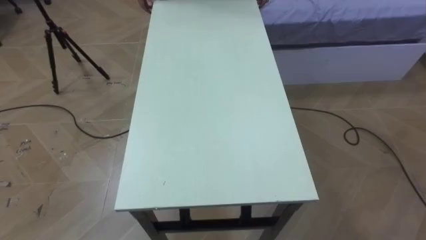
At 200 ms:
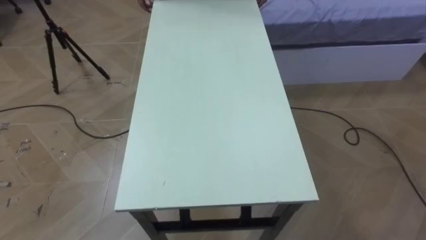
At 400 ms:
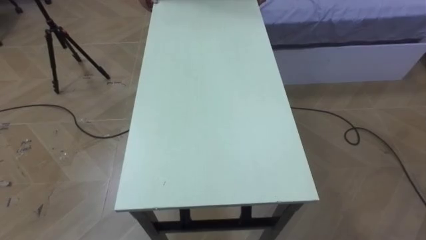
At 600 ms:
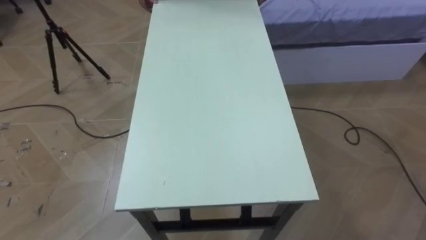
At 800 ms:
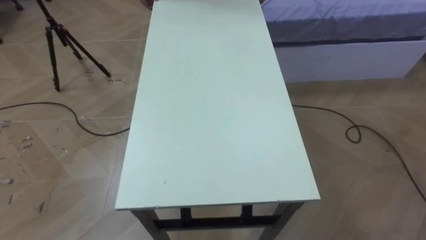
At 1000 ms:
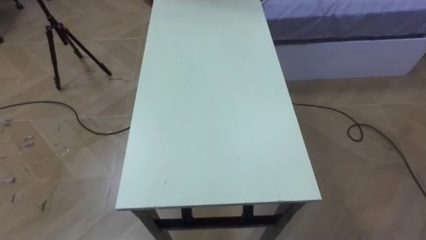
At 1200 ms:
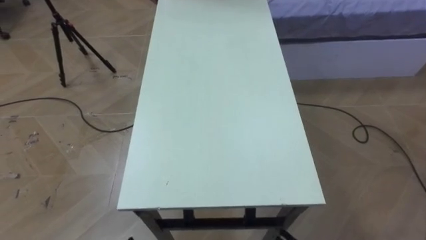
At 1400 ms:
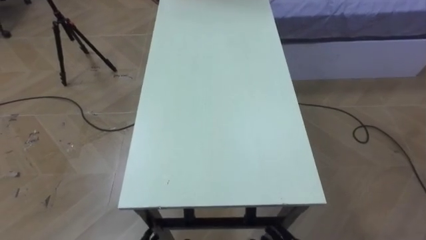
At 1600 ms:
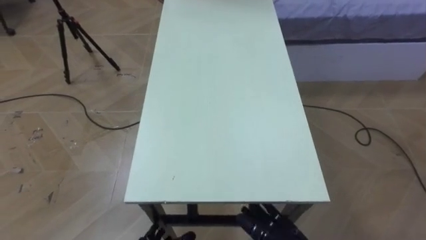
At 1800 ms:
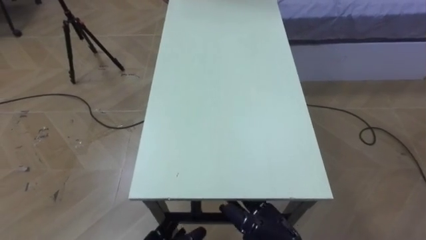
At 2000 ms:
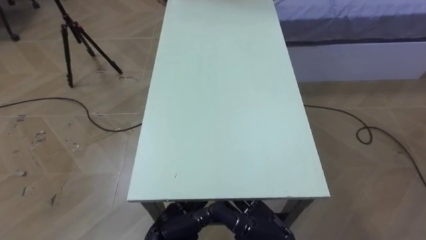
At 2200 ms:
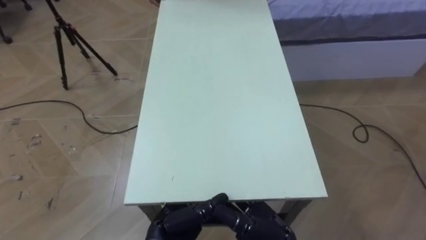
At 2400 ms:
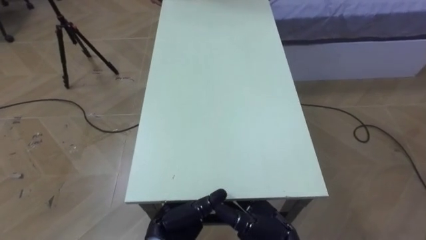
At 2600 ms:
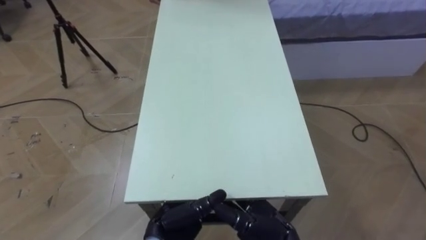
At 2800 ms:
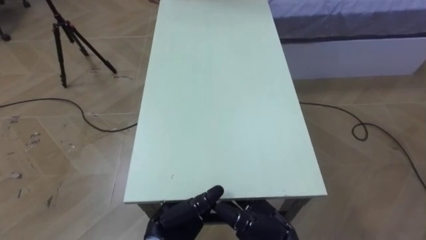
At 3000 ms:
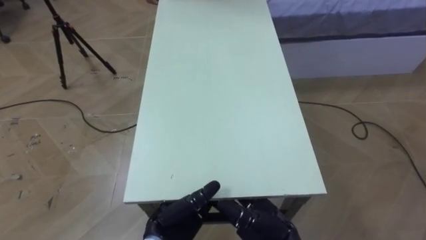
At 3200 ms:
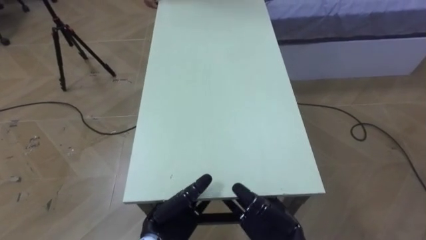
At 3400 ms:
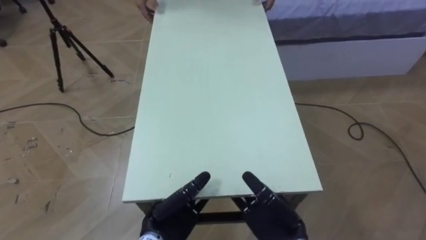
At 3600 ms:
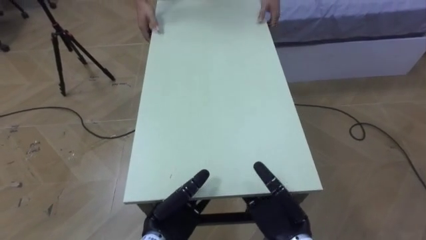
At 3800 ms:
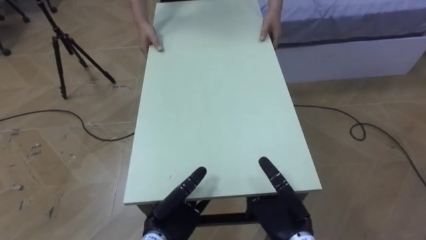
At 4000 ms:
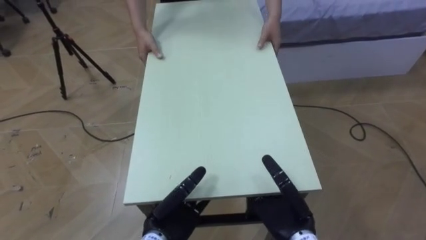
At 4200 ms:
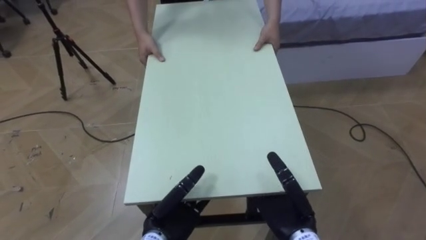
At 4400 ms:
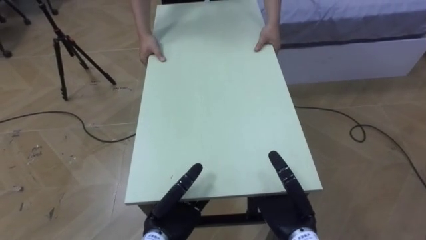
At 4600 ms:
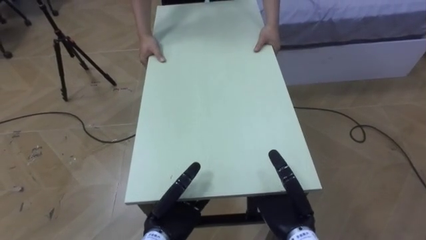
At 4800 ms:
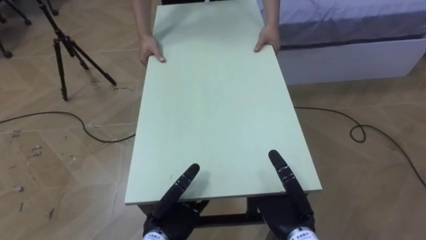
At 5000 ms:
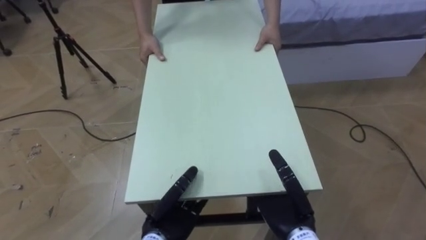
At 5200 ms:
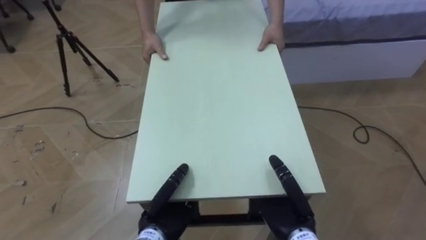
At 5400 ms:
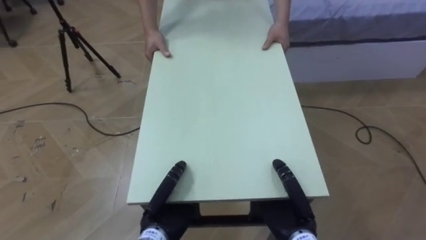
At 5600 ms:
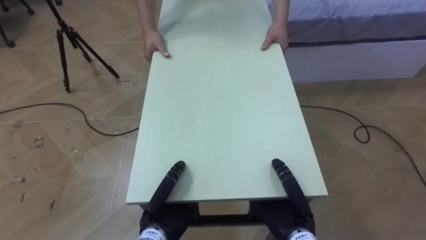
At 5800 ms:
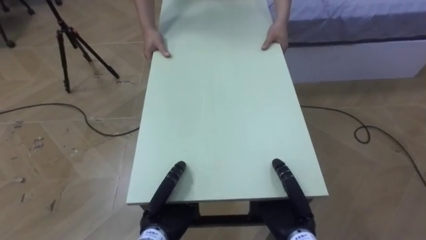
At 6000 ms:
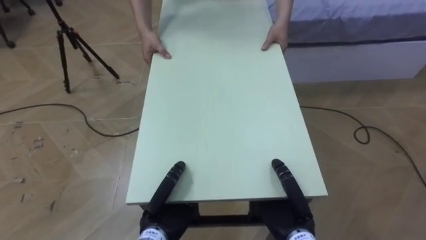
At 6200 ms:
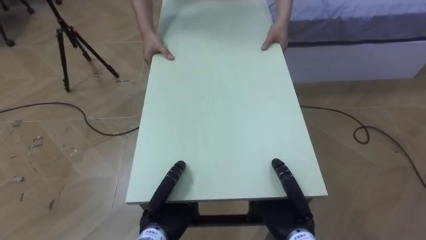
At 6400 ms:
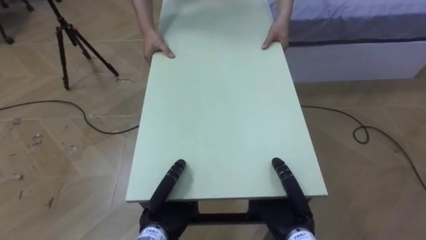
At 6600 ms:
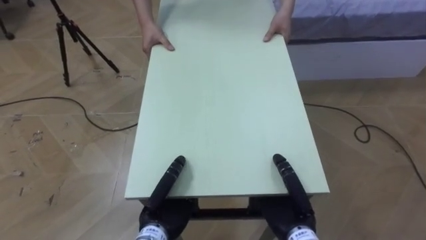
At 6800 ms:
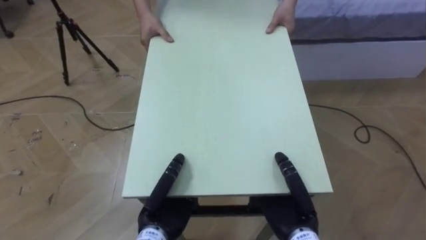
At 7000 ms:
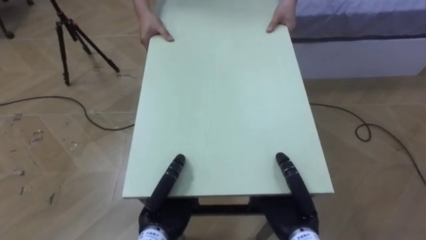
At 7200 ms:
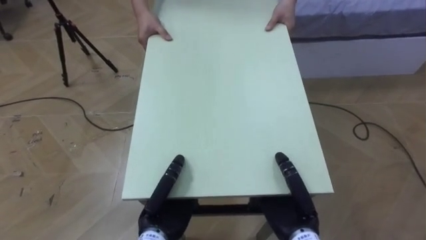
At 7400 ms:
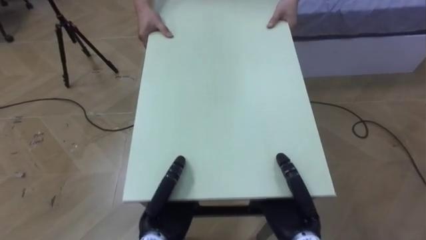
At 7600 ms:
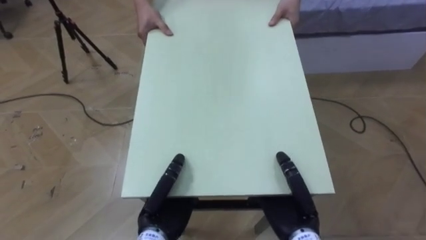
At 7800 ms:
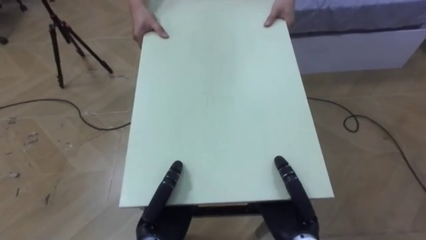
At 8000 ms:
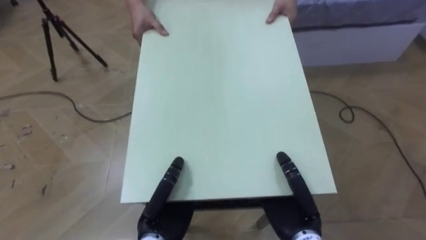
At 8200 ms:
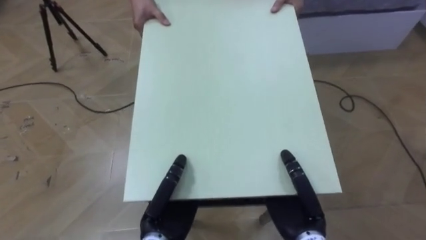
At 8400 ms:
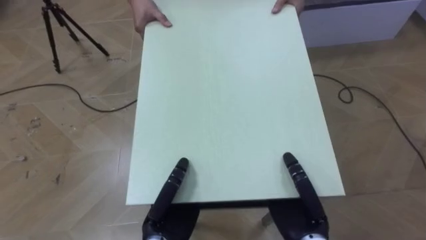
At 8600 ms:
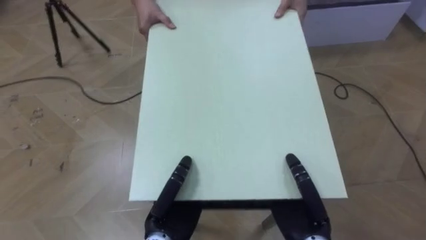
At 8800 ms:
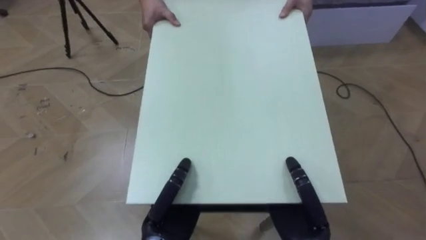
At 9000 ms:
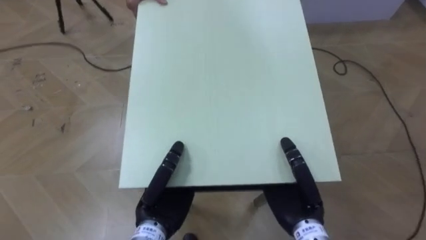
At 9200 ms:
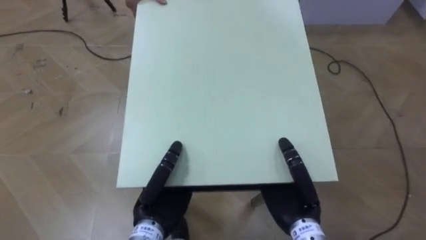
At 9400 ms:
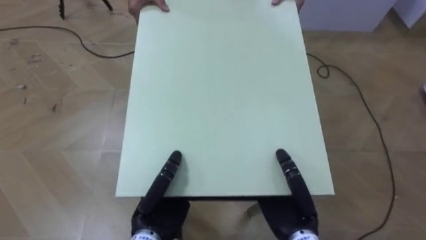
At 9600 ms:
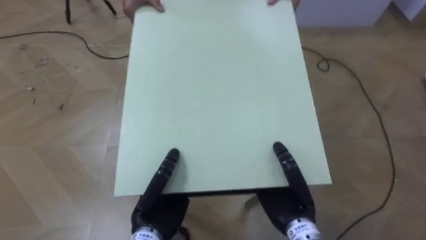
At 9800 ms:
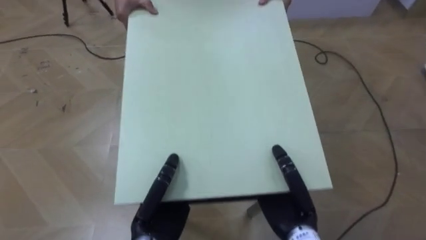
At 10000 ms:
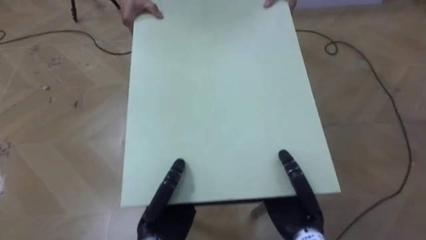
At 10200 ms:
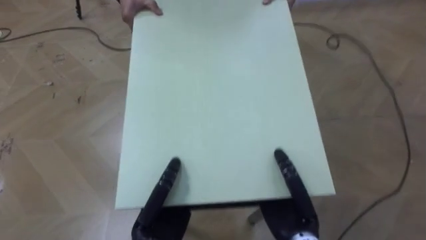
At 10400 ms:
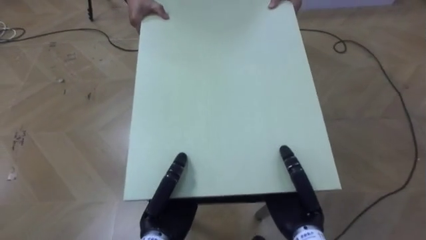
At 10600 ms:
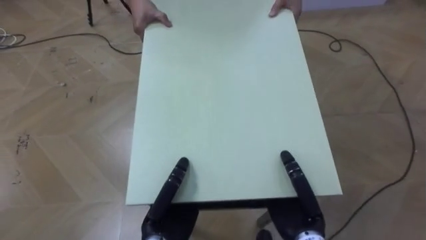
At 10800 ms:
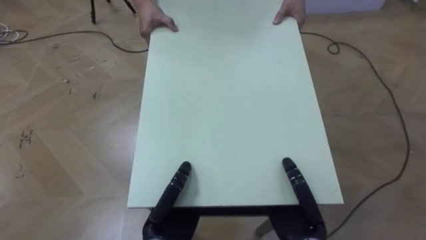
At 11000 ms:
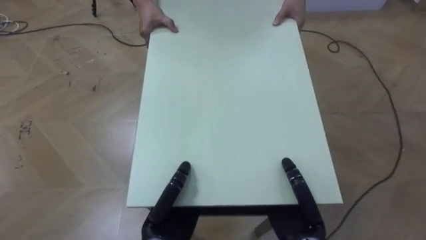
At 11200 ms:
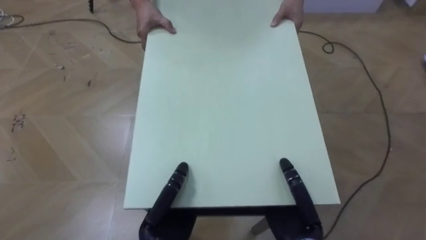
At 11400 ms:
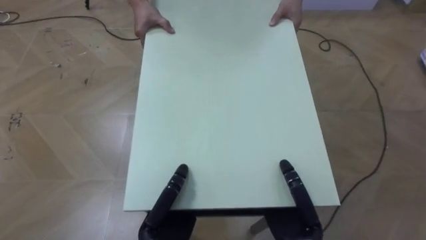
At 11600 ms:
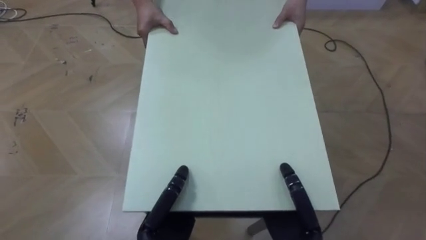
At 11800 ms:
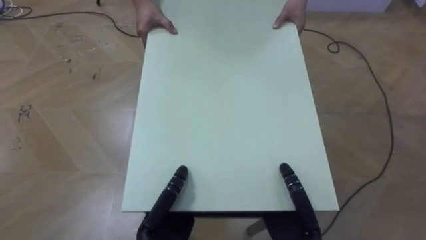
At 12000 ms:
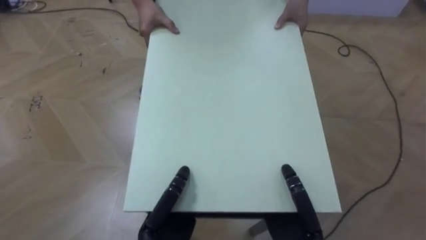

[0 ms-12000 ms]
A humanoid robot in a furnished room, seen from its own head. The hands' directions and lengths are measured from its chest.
Task of the whole recording: Move the table to the back left with someone.
3000 ms to 4400 ms: The right hand moves approximately 5 cm.
4400 ms to 6000 ms: The right hand closes its fingers. Meanwhile the left hand closes its fingers.

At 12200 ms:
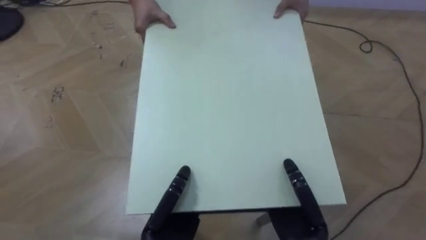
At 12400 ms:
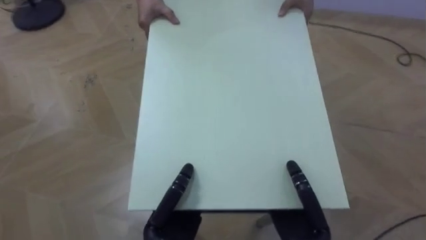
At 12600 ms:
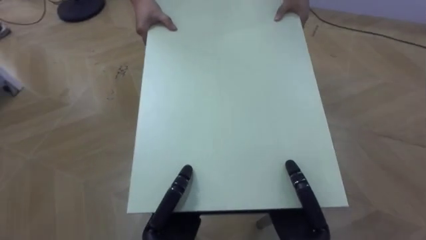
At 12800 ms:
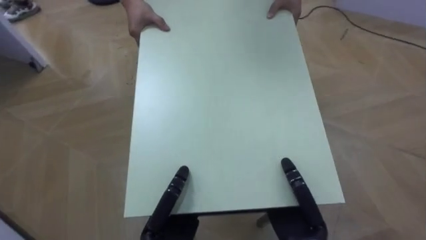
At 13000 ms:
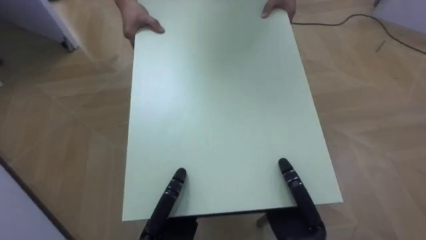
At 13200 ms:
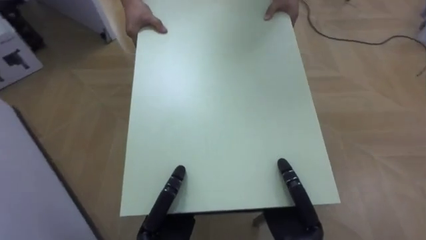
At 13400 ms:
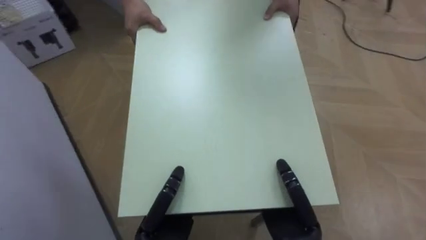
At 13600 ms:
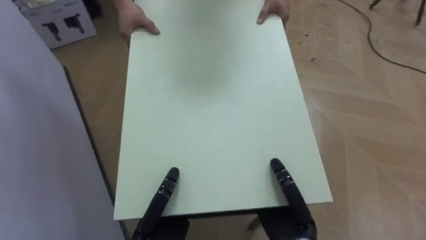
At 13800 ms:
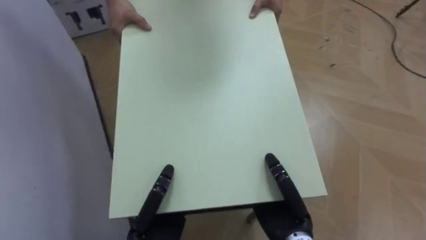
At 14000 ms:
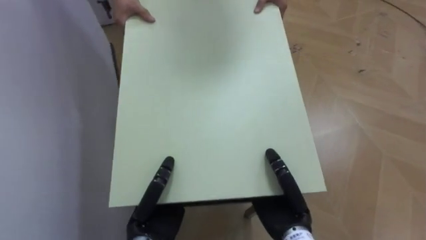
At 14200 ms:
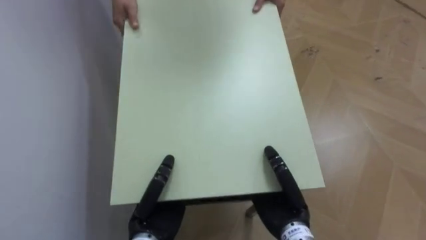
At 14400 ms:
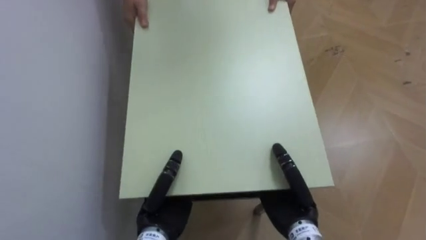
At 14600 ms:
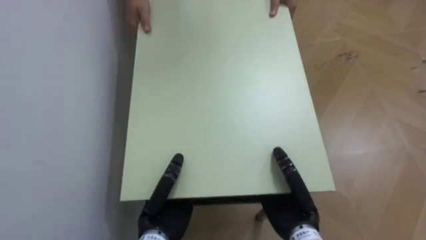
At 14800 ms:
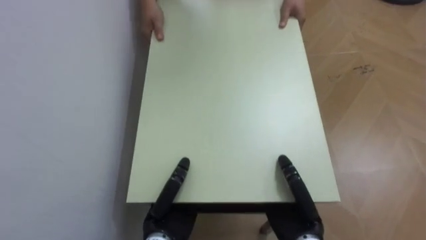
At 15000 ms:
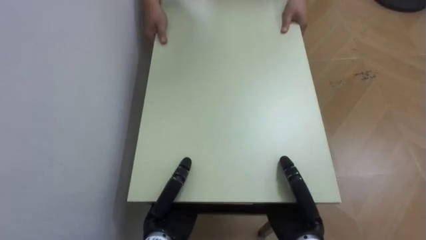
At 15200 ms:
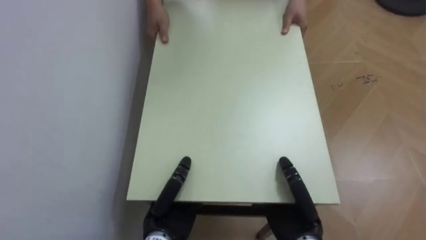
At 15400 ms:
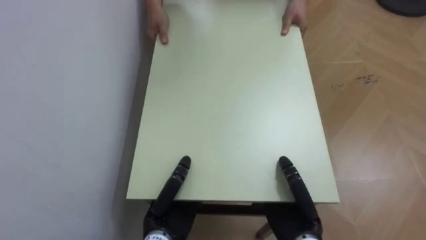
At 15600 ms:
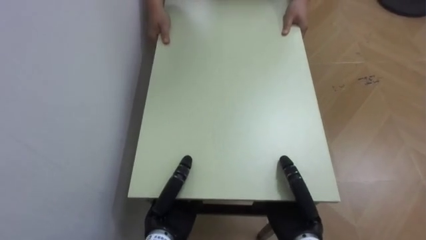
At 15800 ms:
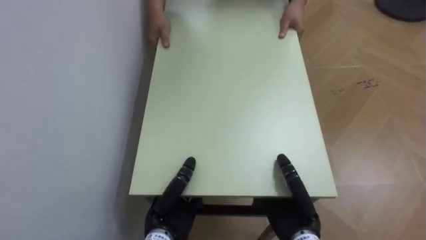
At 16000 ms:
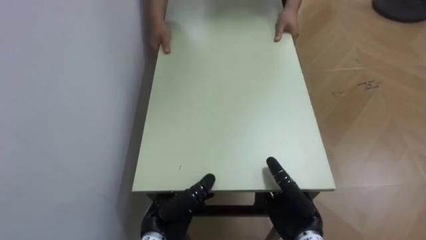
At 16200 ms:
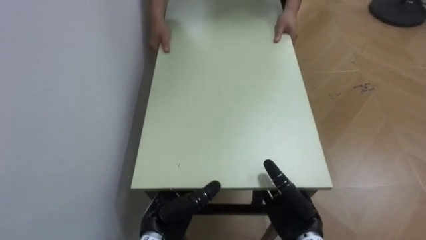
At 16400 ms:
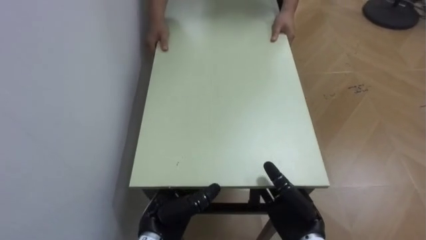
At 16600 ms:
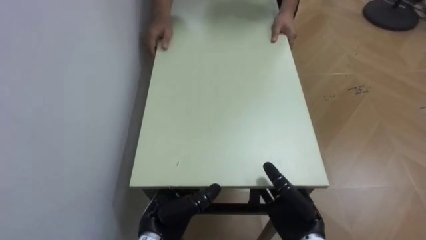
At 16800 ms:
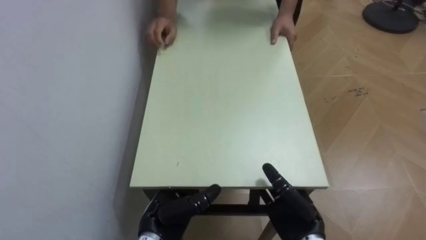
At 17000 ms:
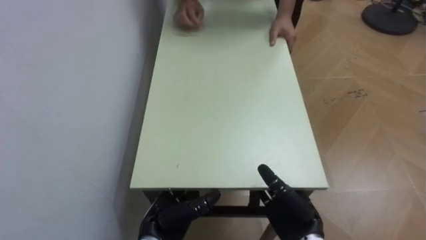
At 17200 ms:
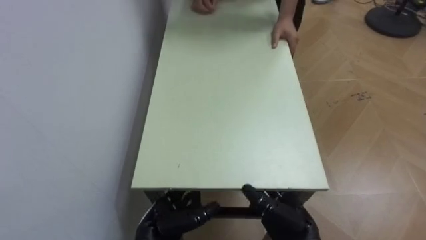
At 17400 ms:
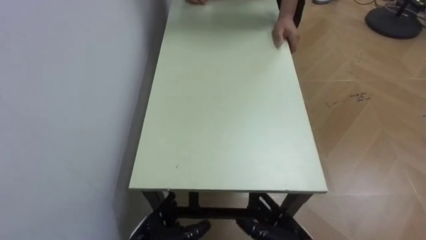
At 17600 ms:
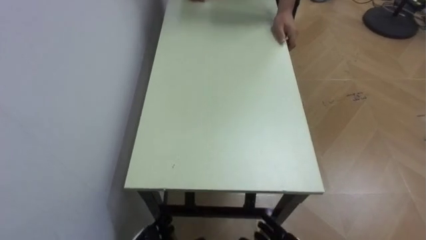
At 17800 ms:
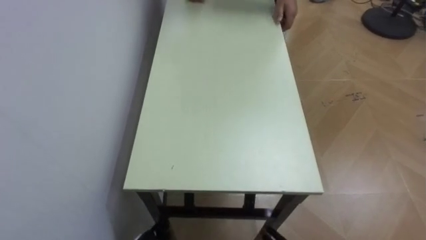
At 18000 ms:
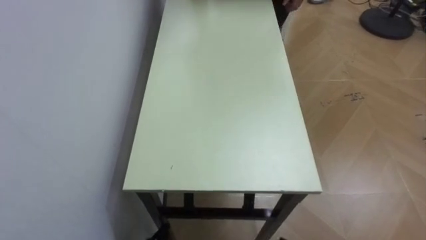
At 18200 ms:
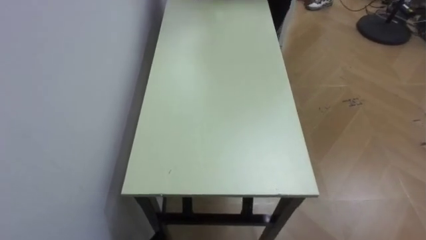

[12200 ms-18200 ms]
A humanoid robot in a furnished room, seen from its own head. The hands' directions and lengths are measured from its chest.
Task of the whole recording: Move the table to the back left with someone.
12200 ms to 13800 ms: The robot faces approximately 50 degrees further to its left.
13800 ms to 15200 ms: The robot rotates roughly 35 degrees to its left.
15200 ms to 16600 ms: The right hand opens its fingers, while the left hand opens up.
